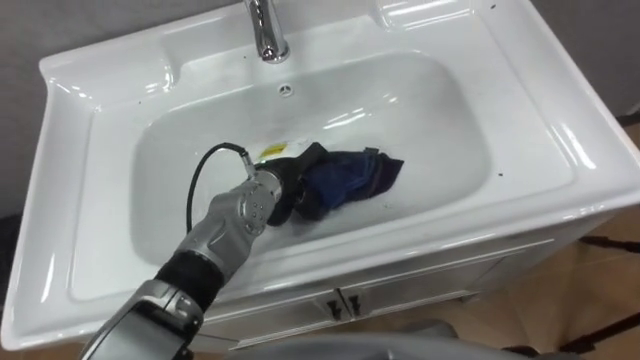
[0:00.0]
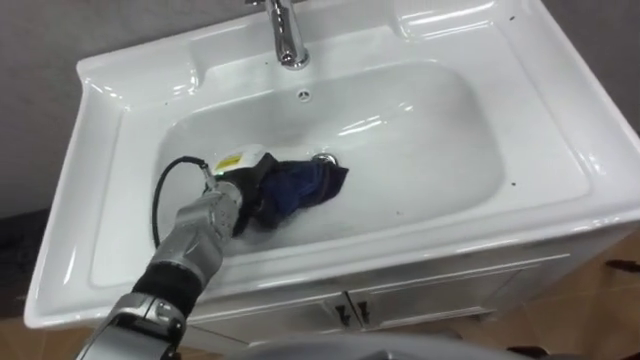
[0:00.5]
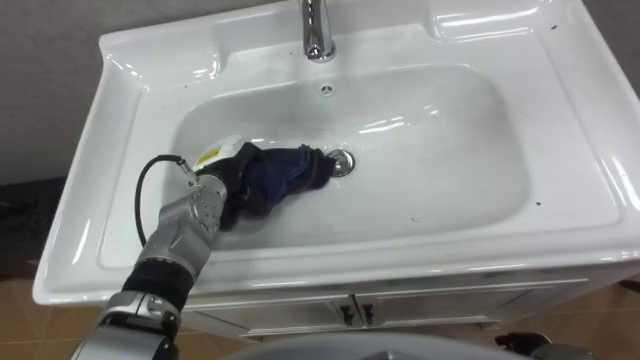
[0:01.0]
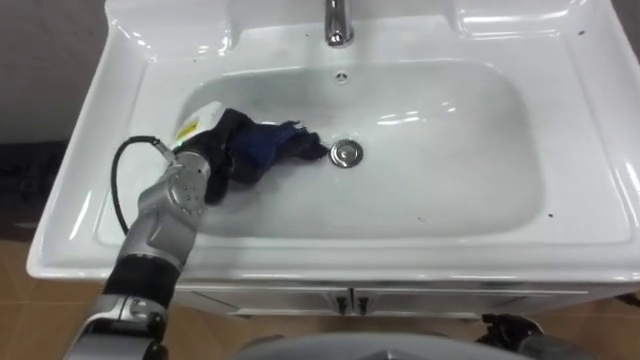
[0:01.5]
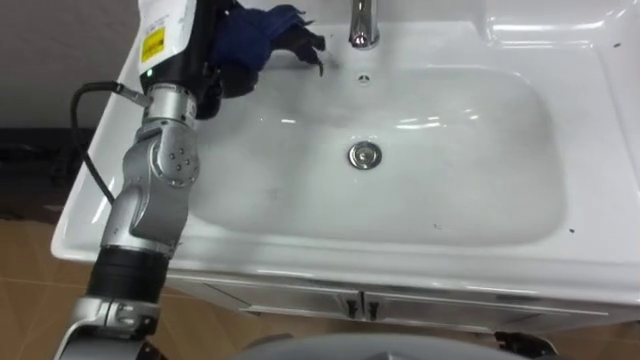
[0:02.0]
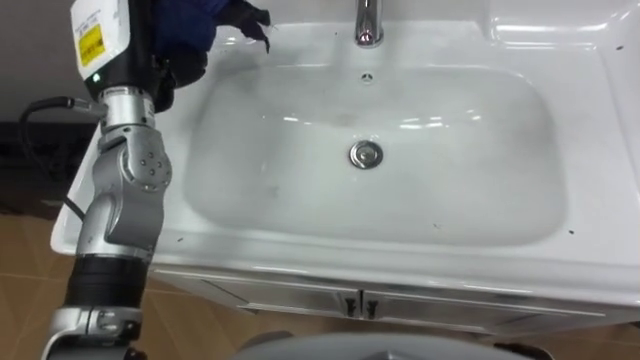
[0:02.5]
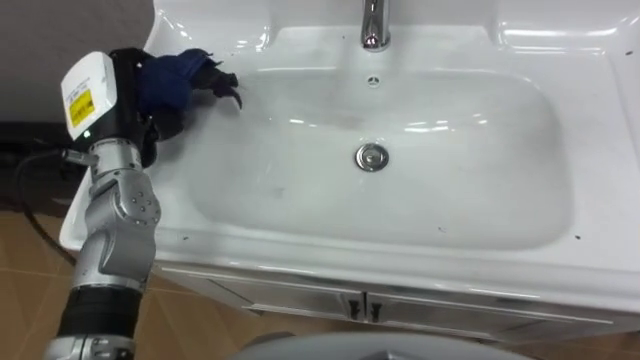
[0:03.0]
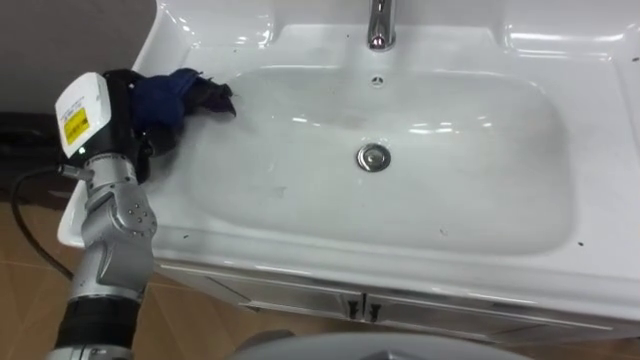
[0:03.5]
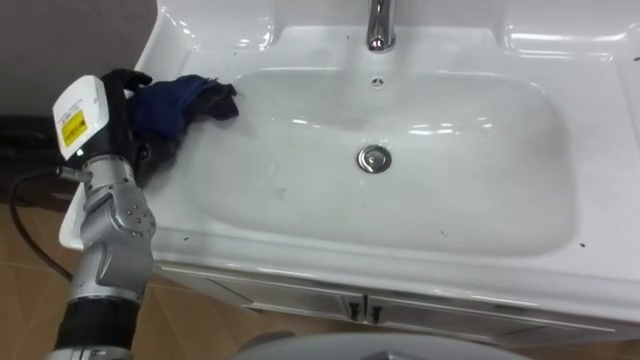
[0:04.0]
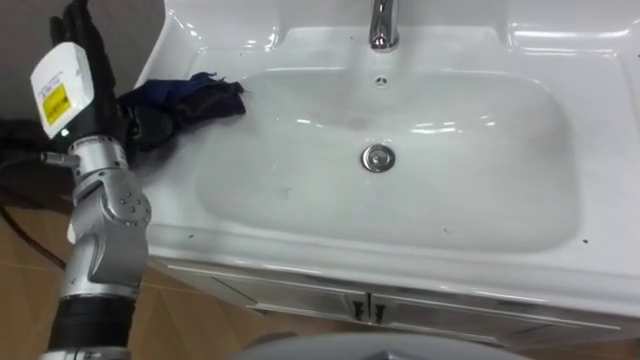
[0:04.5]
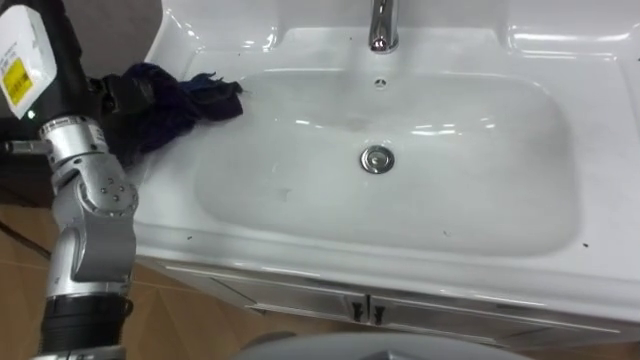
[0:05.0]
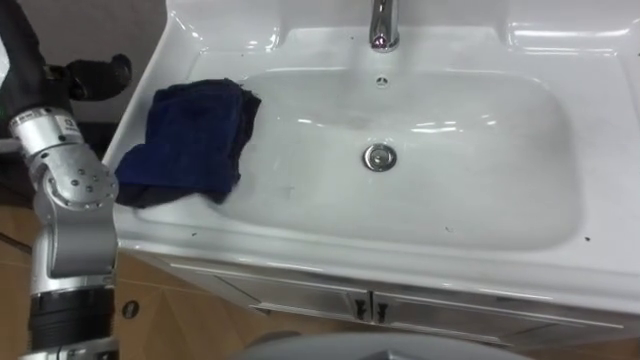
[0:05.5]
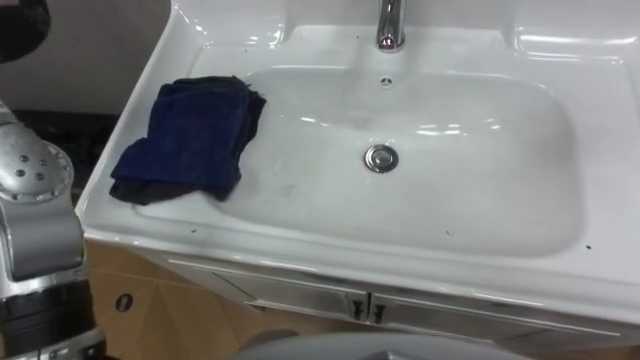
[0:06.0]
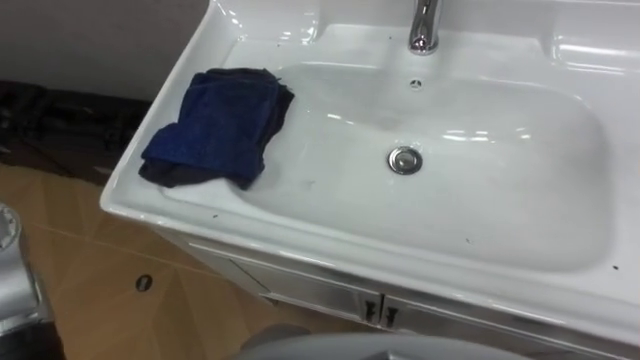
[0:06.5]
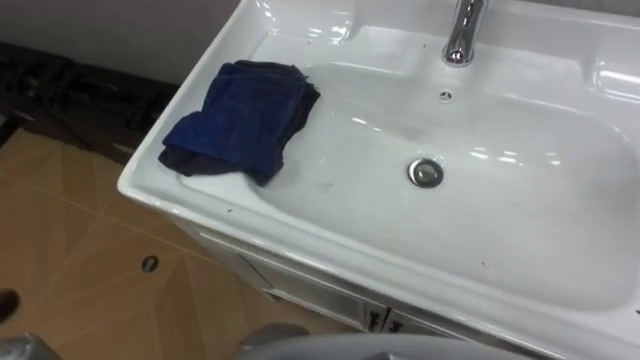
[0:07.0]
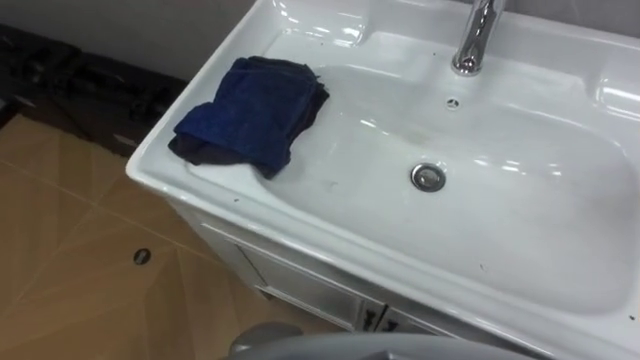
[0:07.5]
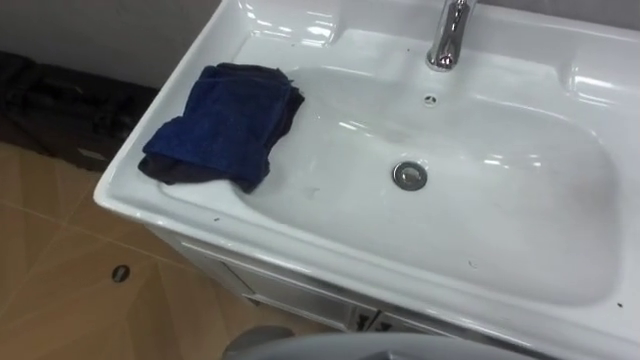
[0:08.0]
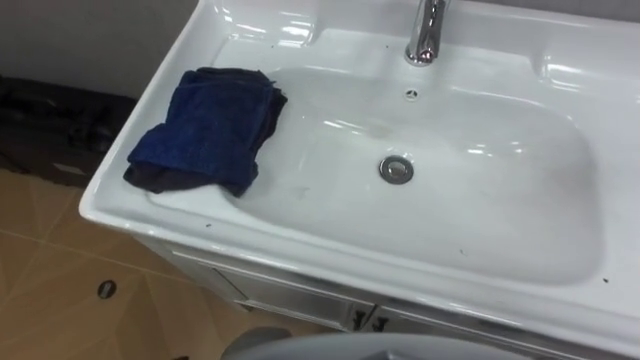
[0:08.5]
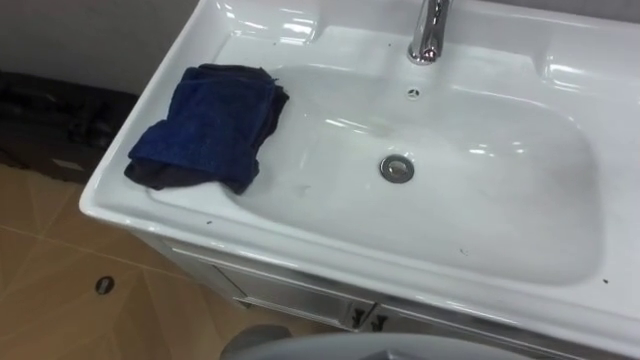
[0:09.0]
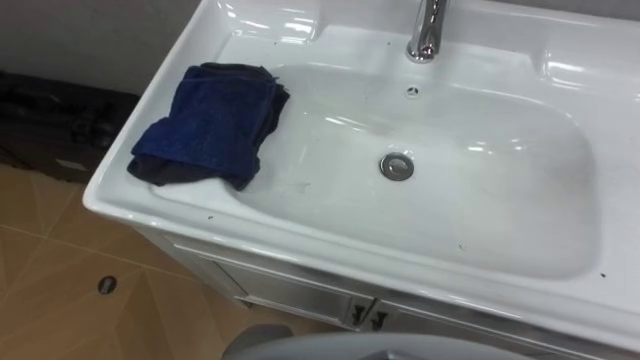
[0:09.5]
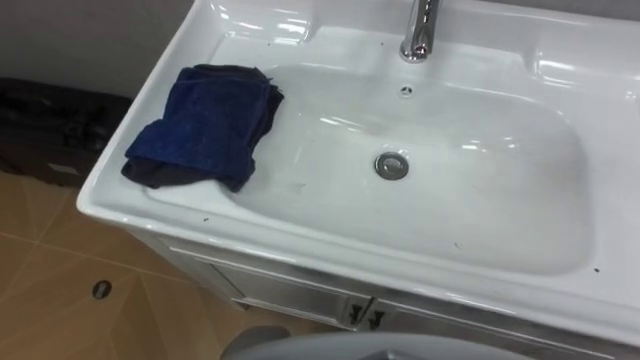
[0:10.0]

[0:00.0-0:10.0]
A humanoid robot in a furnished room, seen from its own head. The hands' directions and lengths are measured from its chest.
Task of the whole recording: Use the cloth on the right to wipe away the black stain in the sink.
0:00.0 to 0:02.0: The left hand heads upward and to the left, covering approximately 20 cm.
0:02.0 to 0:04.0: The left hand travels to the left, downward and backward by roughly 15 cm.

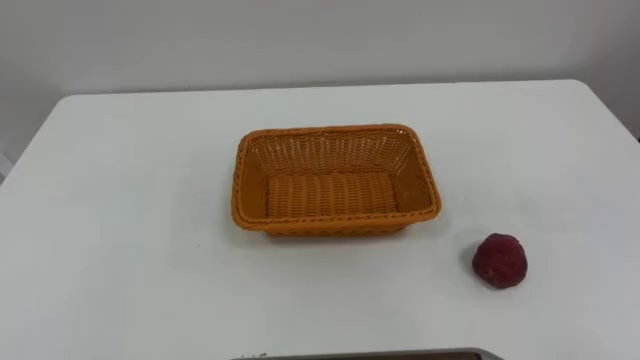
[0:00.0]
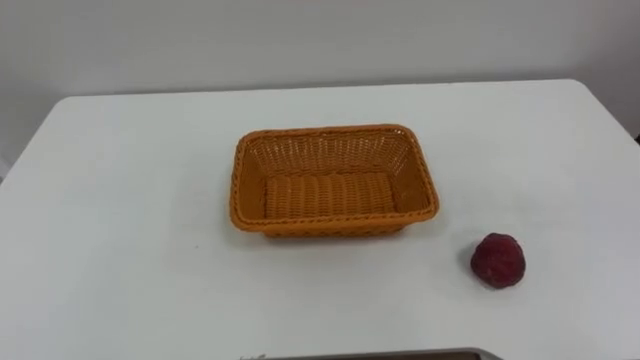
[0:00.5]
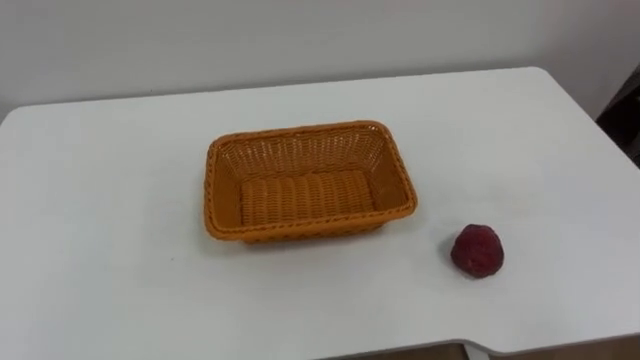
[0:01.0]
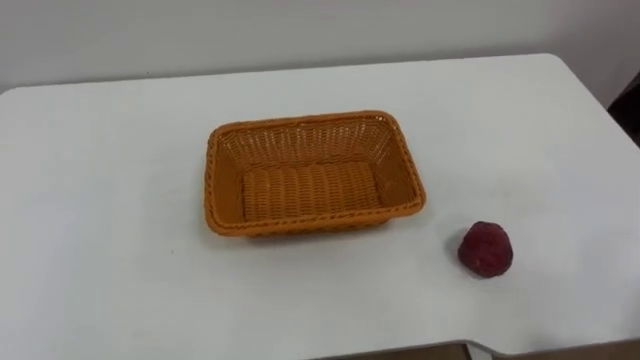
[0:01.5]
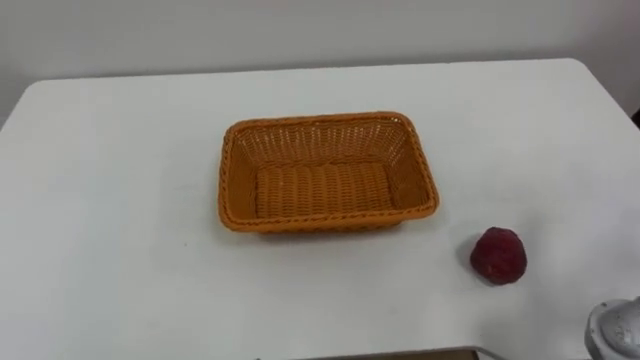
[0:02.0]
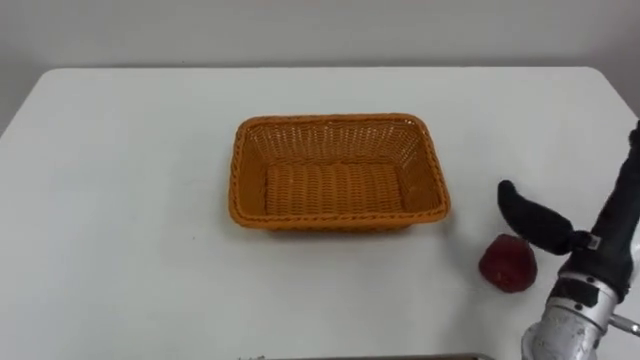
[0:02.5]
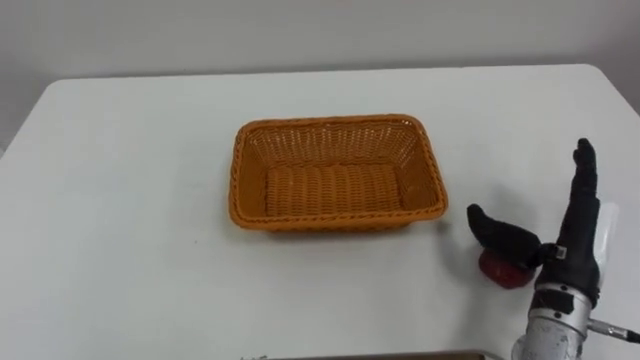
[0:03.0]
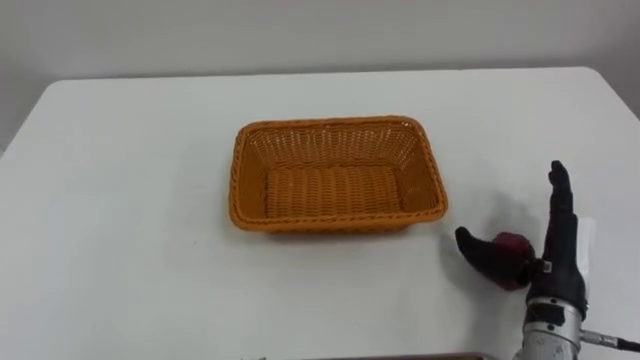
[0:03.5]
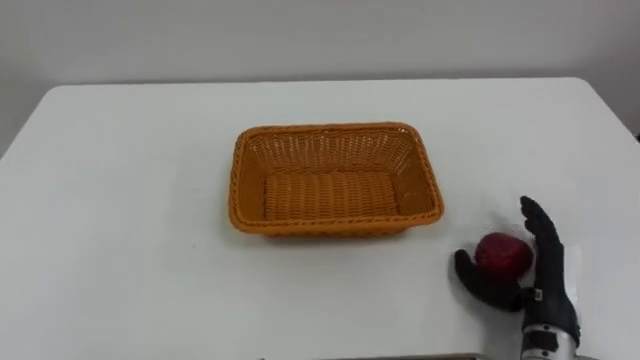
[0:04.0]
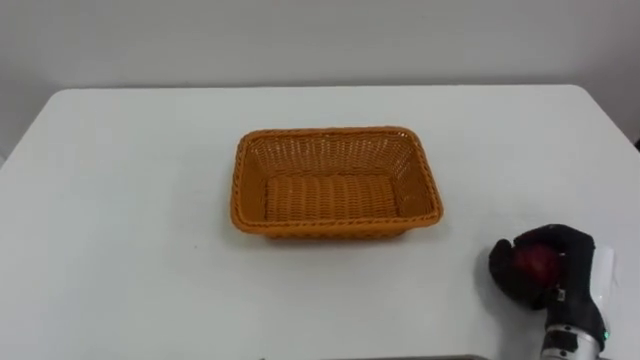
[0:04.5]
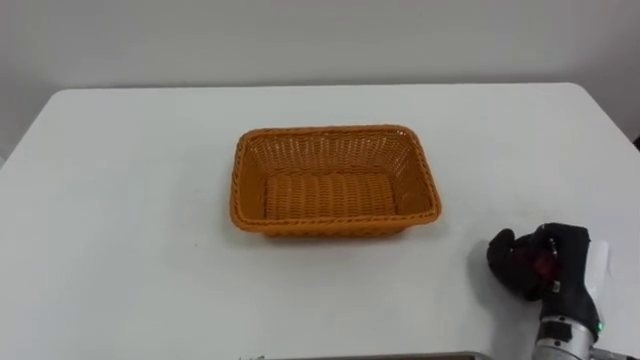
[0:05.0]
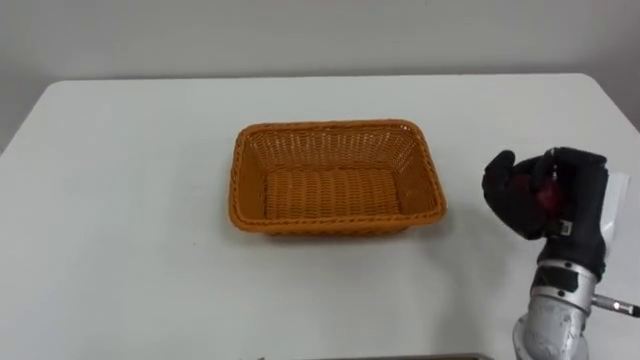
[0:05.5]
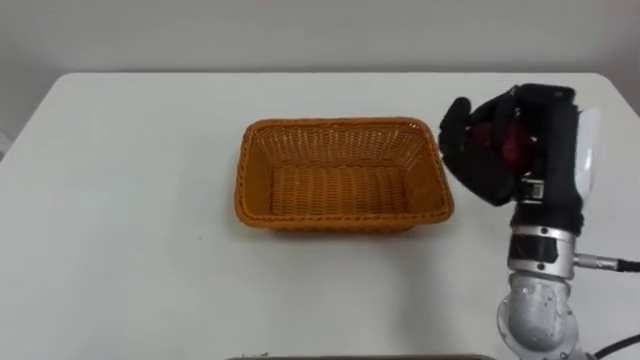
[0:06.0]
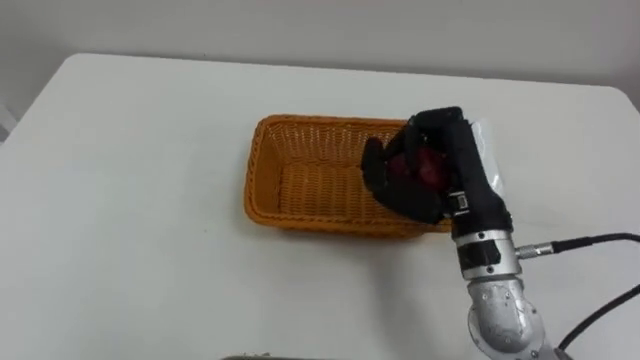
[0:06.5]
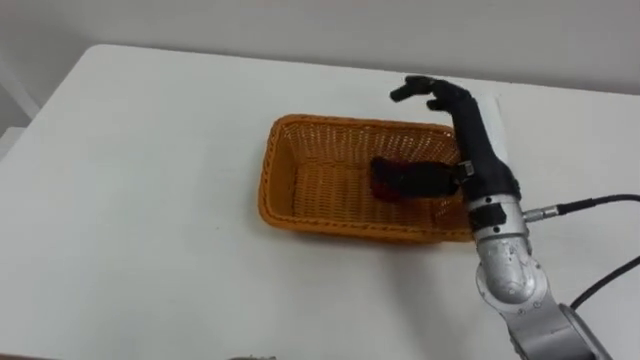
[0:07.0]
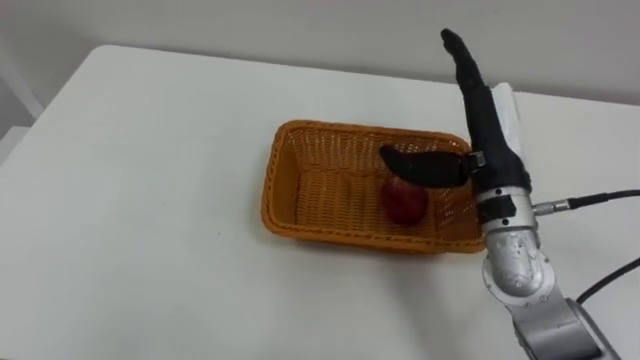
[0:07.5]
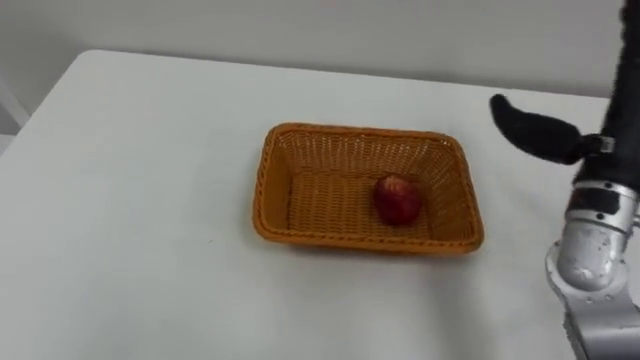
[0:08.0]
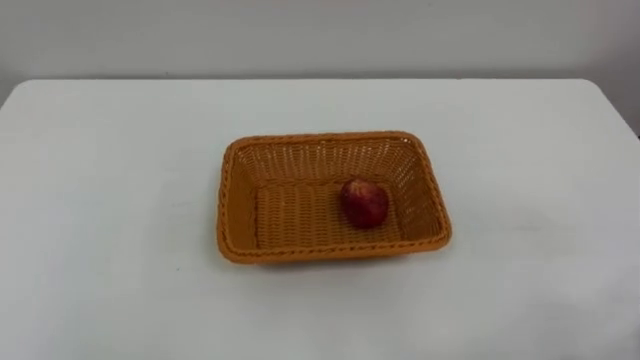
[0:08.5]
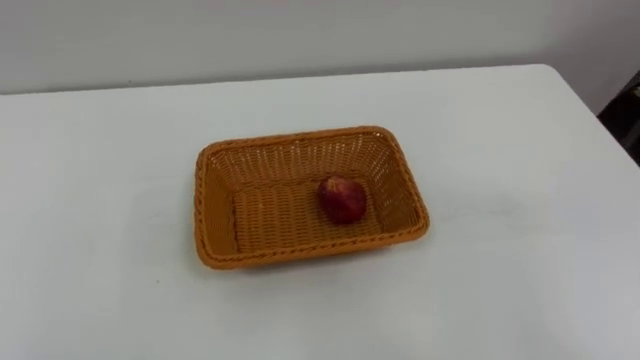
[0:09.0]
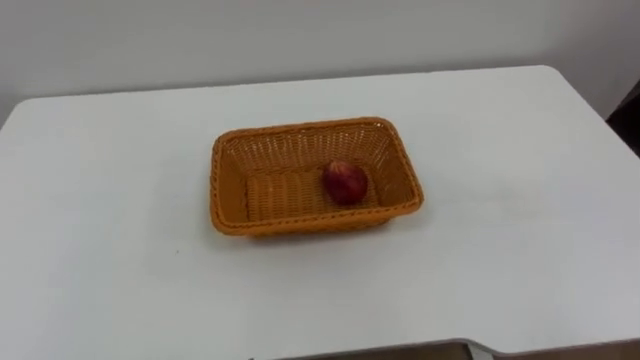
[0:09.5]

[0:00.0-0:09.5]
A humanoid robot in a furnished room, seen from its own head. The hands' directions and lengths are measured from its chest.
Task of the whole recording: Pick the apple and place it in the box.
0:04.0 to 0:05.5: The right hand moves upward, approximately 10 cm, and closes up.
0:05.5 to 0:07.5: The right hand travels to the left, forward and upward by some 15 cm, and opens its fingers.
